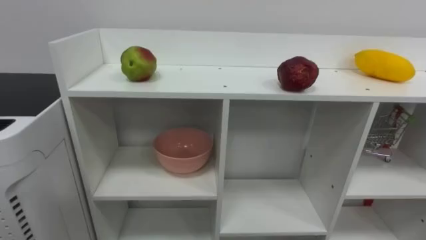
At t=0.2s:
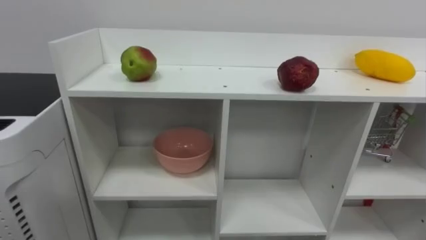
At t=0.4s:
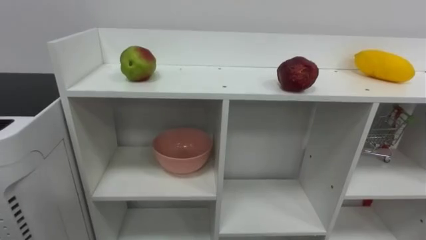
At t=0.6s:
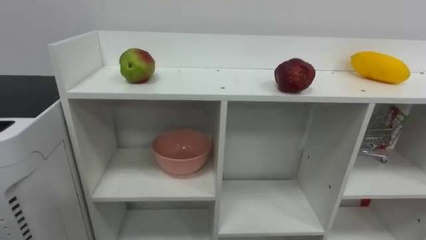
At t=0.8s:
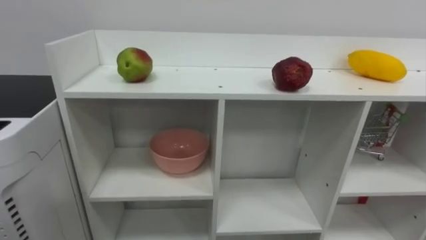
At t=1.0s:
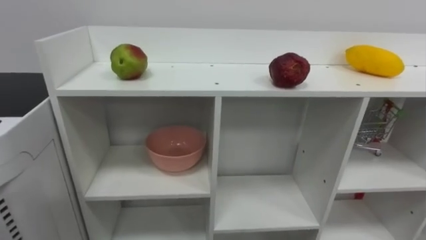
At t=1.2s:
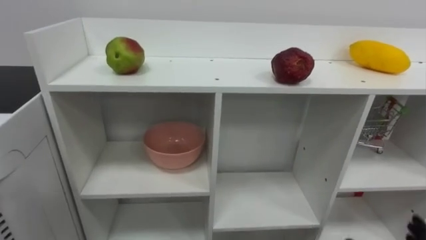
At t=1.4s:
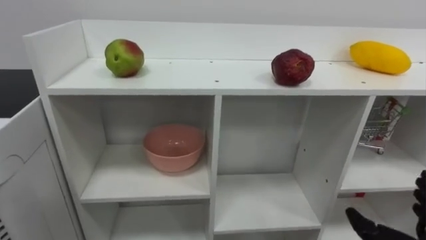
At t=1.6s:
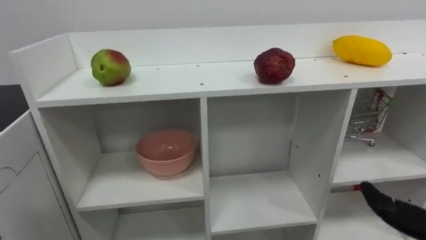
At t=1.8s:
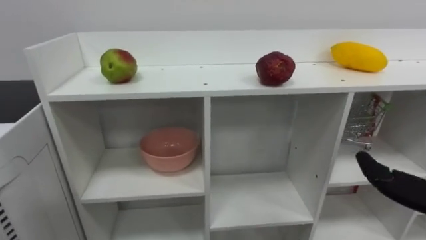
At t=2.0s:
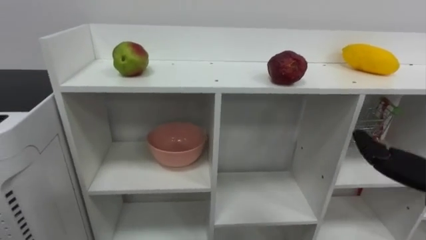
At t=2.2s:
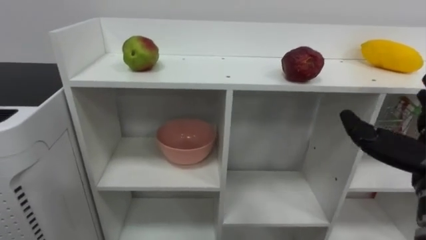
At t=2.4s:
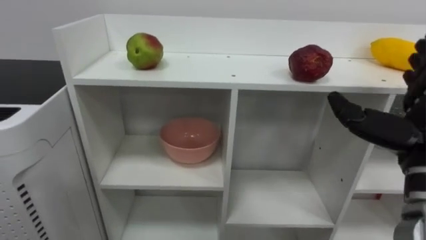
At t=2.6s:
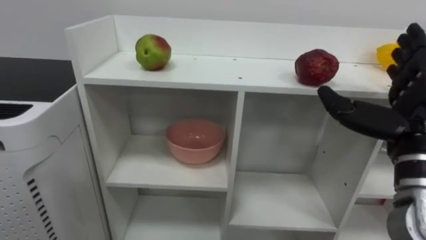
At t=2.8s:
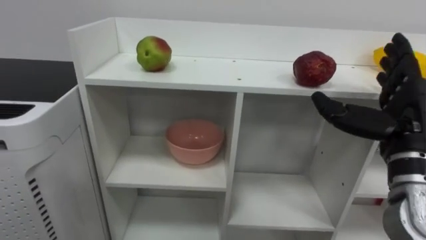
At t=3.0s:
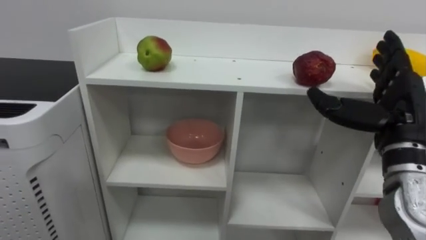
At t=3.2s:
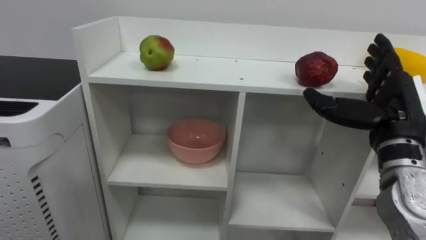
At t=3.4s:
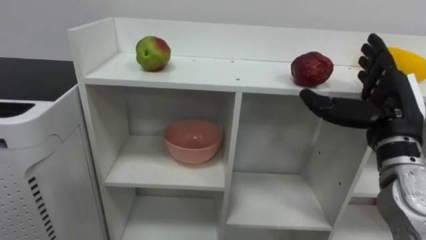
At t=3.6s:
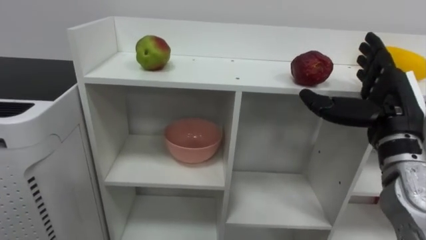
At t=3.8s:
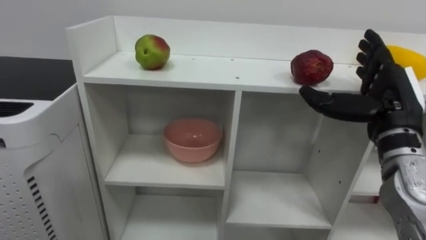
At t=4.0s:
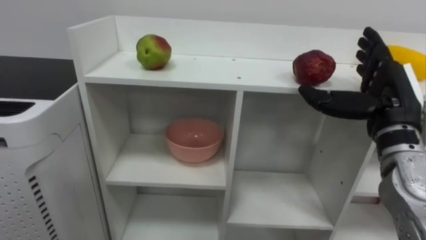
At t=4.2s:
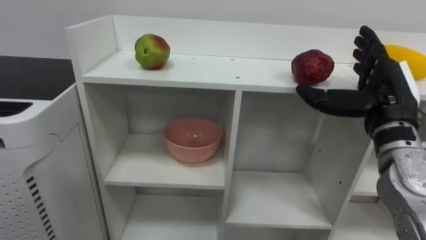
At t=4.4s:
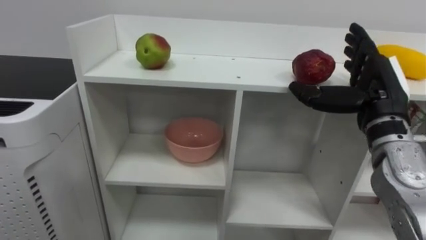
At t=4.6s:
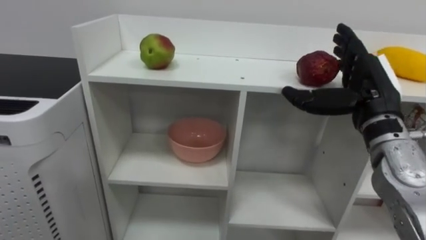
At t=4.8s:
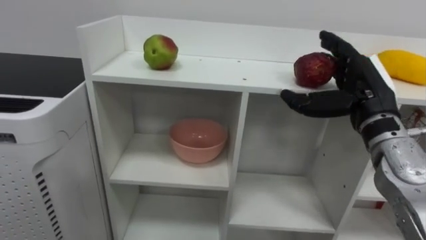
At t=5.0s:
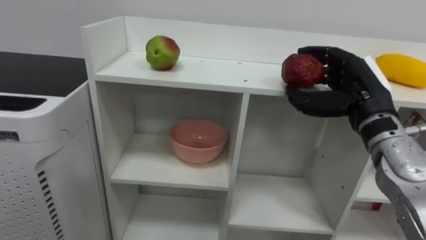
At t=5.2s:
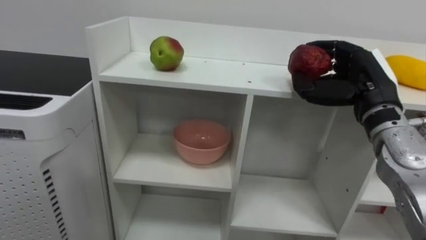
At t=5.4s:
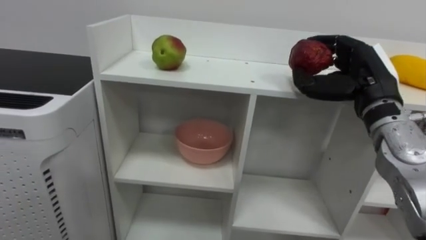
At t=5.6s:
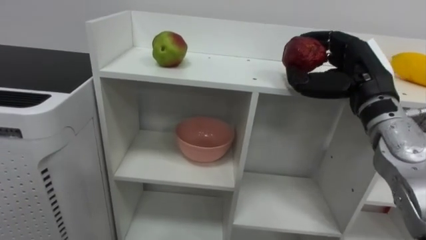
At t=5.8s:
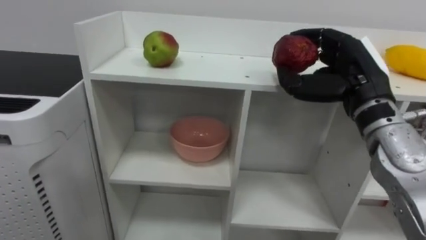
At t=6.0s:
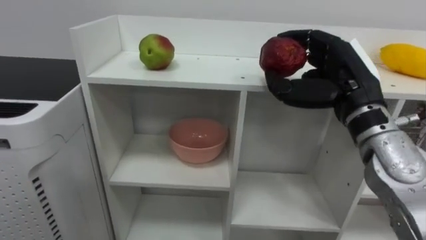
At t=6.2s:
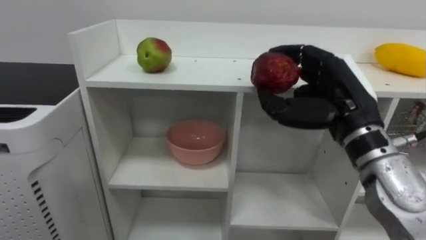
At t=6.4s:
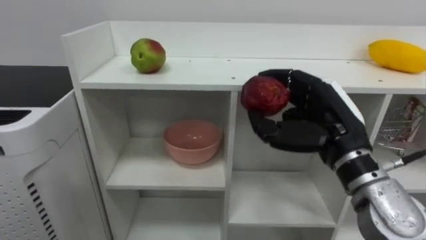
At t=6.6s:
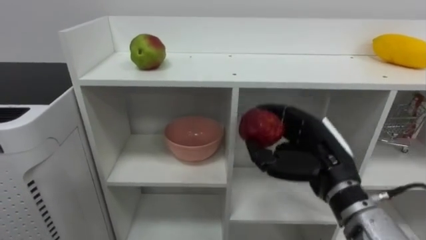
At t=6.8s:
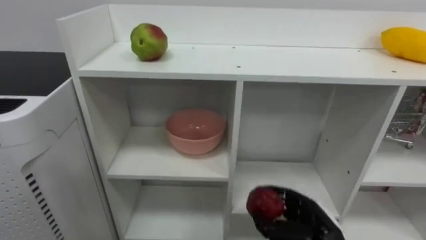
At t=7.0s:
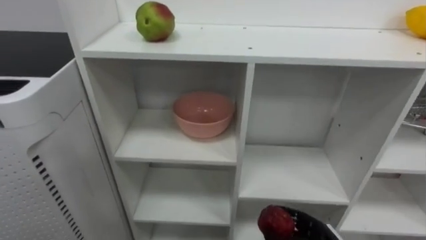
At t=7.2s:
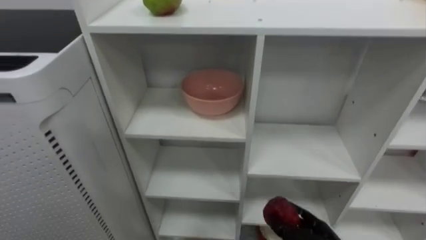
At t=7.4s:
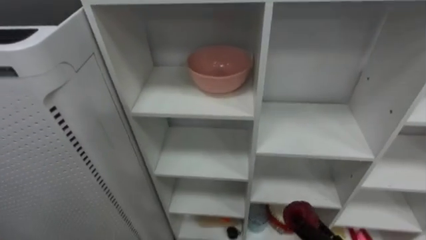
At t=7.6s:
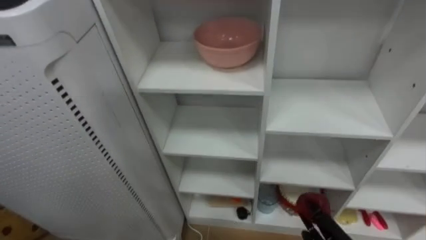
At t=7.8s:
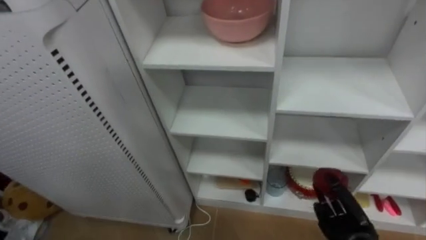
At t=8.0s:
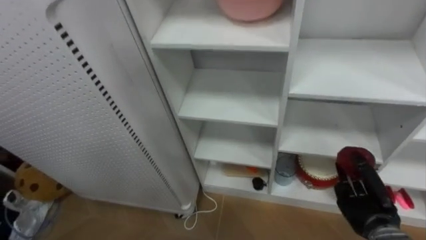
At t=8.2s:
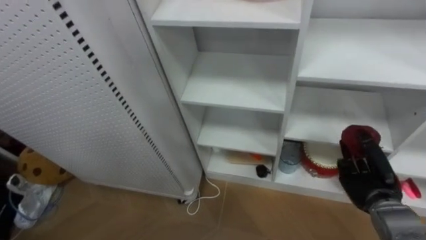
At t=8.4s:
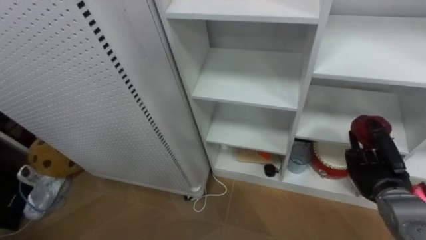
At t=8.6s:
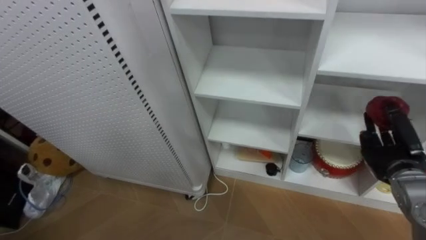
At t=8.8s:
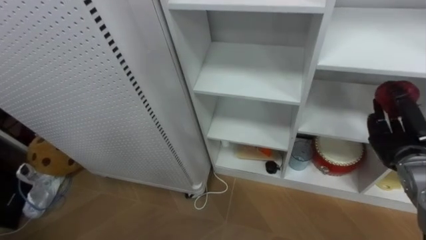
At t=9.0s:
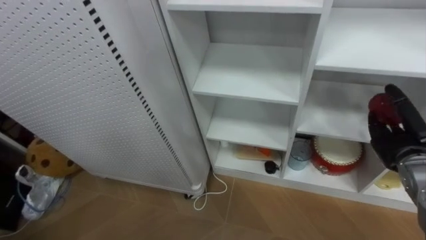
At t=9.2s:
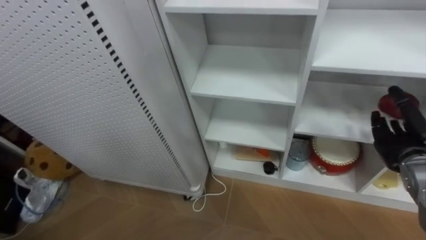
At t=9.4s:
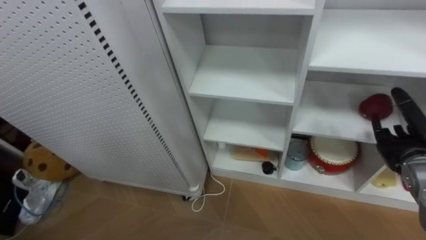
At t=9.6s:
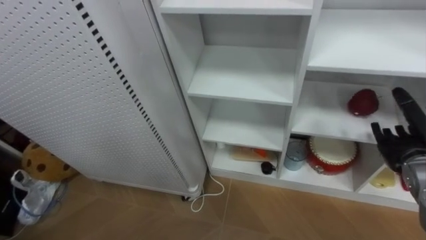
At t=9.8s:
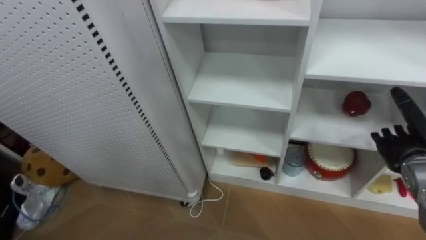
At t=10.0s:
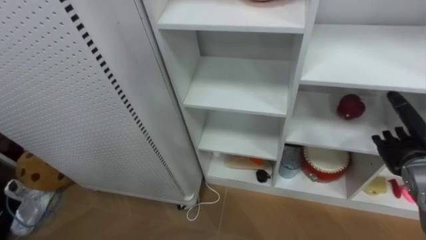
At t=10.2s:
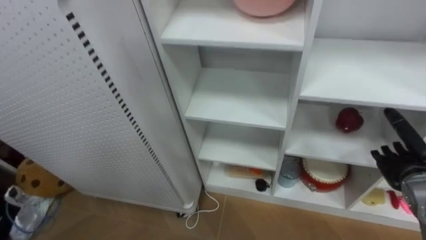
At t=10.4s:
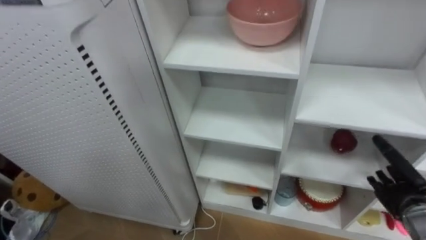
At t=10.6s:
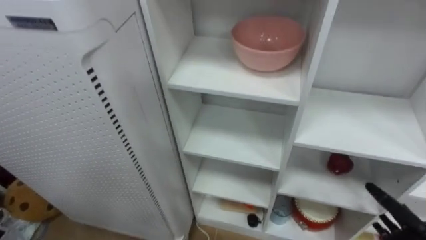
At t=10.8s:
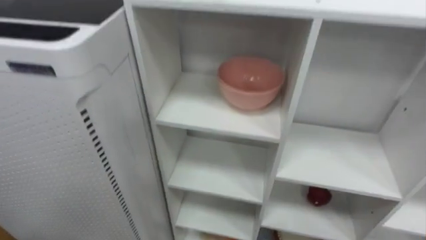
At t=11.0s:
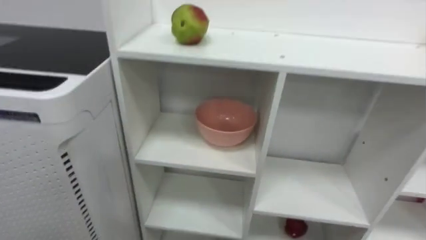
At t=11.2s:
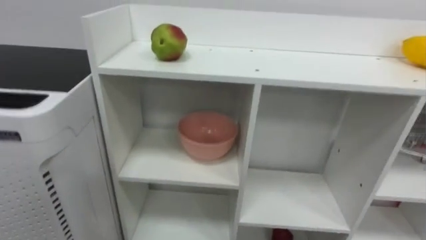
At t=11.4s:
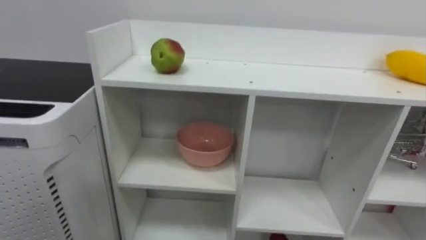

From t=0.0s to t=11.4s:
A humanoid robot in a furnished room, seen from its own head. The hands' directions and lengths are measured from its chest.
Task of the whole recording: Put the apple in the cell in the second column from the left and the second row from the top.
From t=4.2s to t=5.6s: The right hand closes up.
From t=8.6s to t=10.0s: The right hand opens.

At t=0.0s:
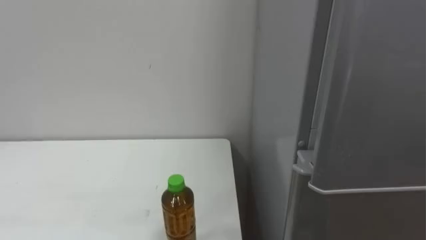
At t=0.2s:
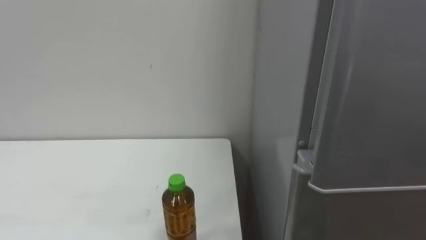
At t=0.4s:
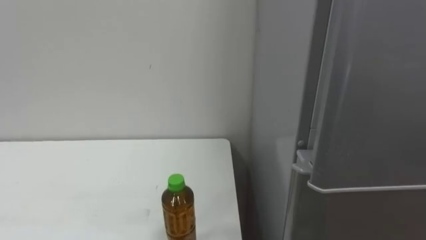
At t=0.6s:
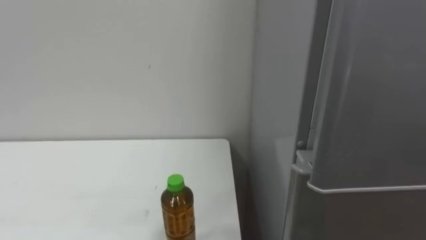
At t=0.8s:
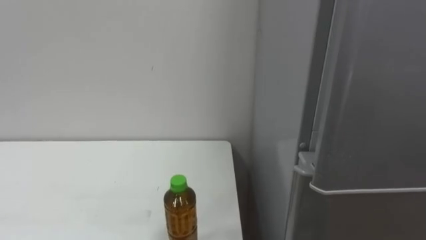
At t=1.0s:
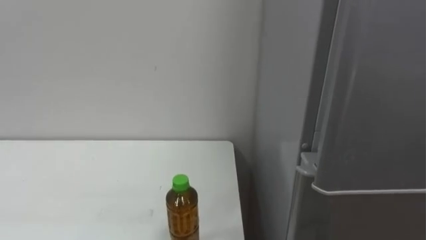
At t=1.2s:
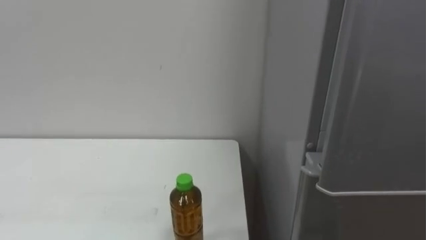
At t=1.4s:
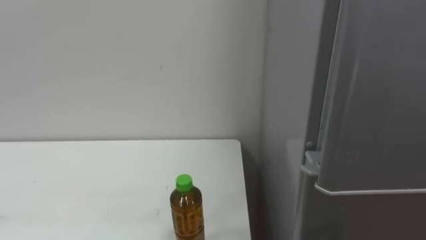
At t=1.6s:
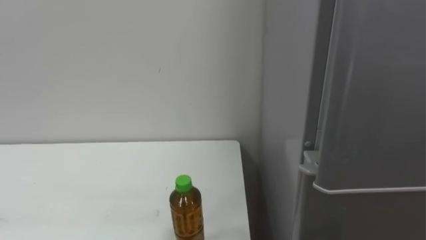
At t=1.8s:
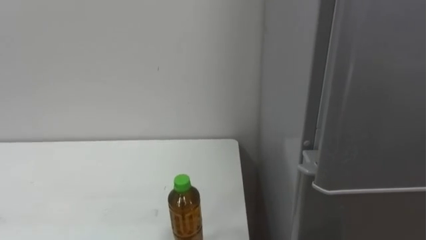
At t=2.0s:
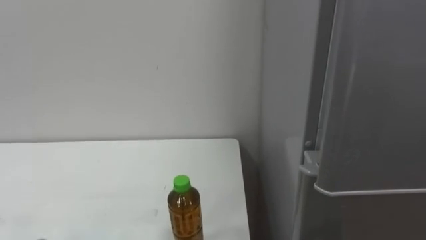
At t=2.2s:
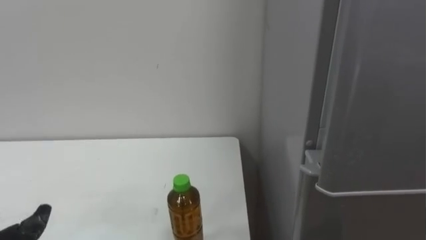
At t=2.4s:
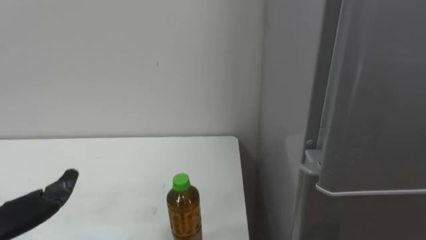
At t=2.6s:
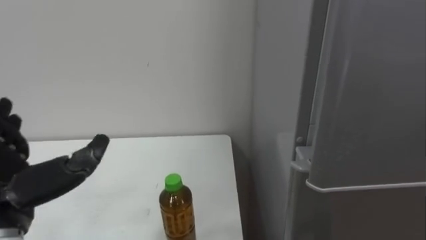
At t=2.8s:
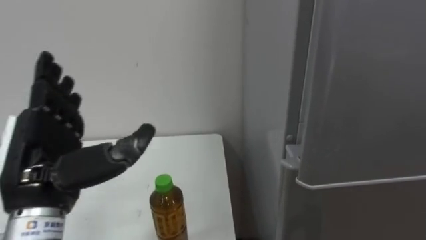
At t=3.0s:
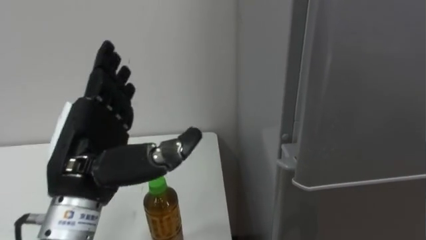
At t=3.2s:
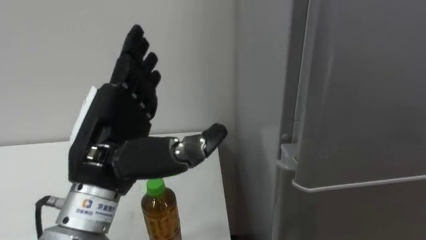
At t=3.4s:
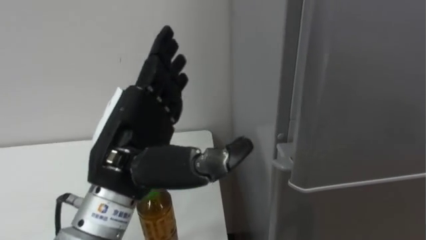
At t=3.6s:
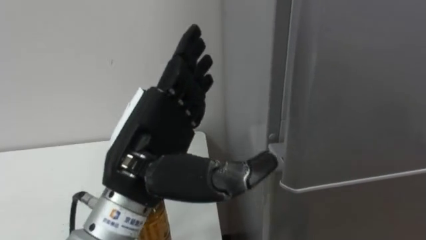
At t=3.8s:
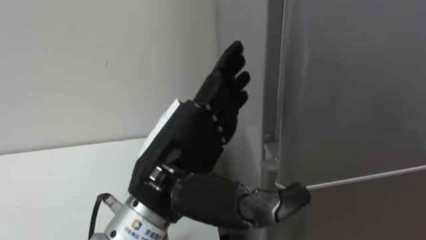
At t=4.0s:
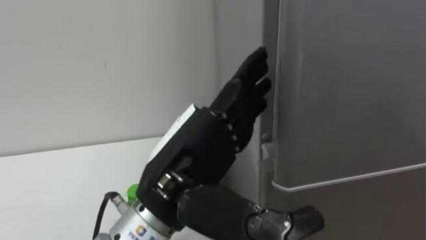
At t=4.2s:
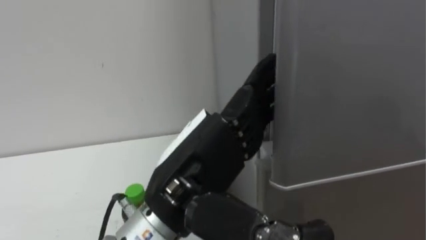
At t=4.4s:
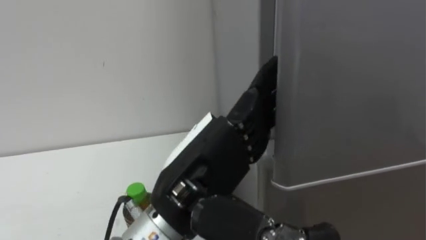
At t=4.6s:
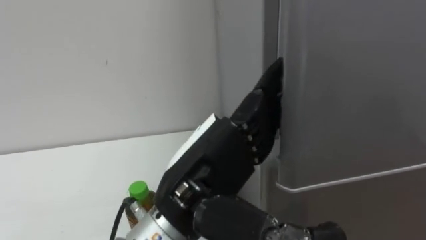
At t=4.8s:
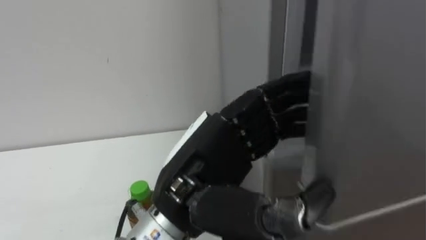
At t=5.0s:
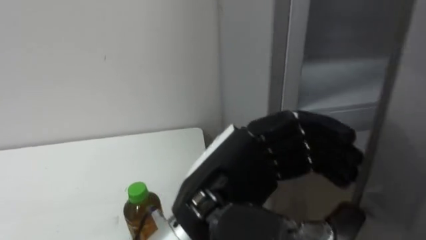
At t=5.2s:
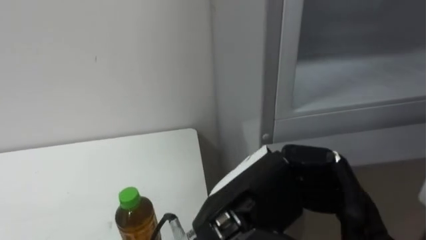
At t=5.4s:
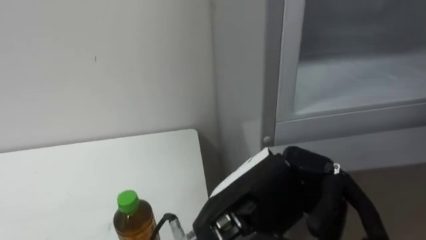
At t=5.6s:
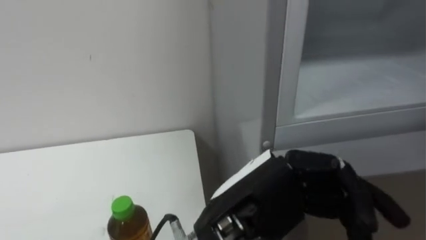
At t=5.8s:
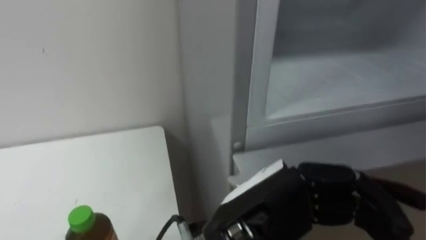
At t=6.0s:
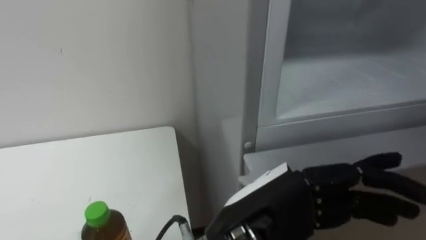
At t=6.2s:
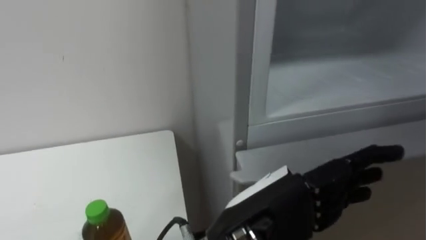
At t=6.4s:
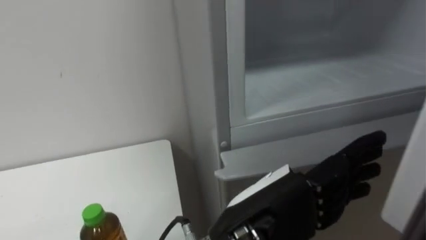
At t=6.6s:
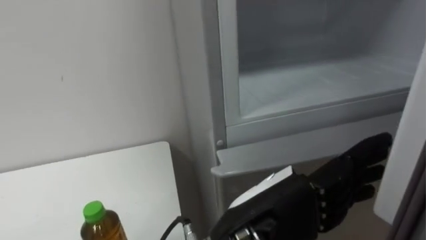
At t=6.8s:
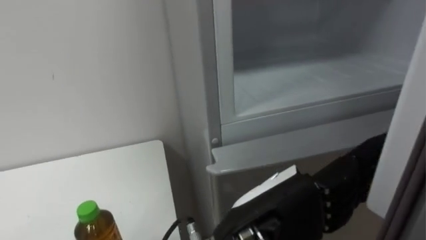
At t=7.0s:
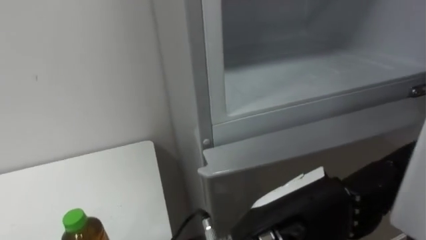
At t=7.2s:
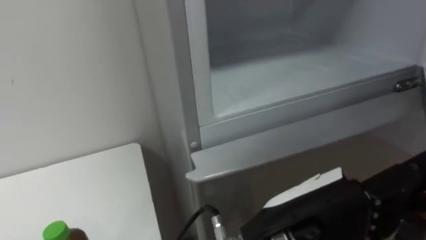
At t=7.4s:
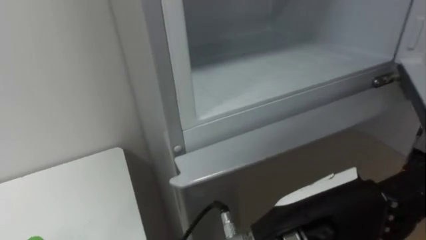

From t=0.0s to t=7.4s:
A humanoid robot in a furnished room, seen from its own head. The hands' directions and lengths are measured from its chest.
Task of the whole recording: Open the upper refrigerator door, put the drink from the table into the refrigerator, and then close the refrigerator door.
From t=3.0s to t=4.4s: The left hand moves to the right, approximately 15 cm.
From t=4.4s to t=6.0s: The left hand goes roughly 5 cm to the right, and closes, then reopens.
